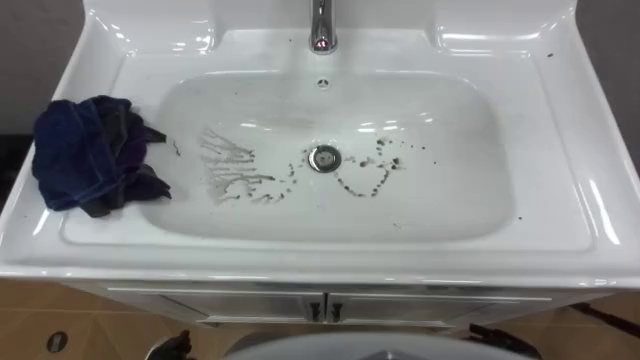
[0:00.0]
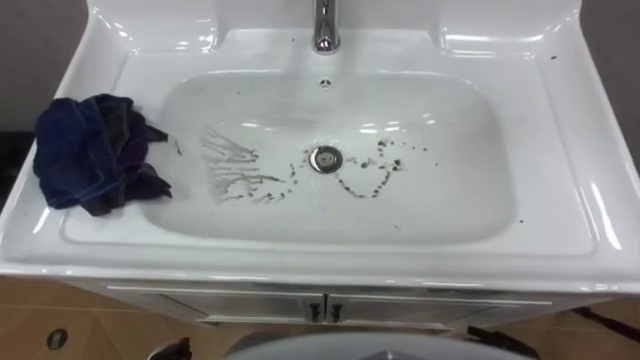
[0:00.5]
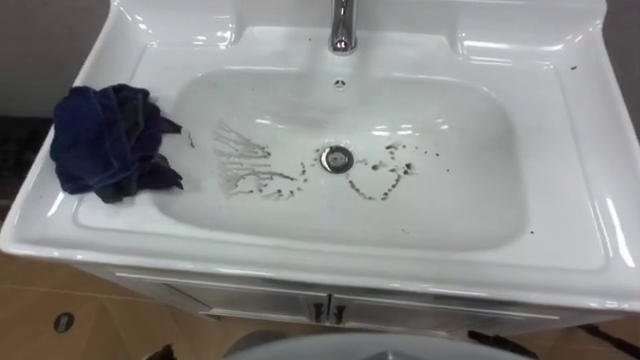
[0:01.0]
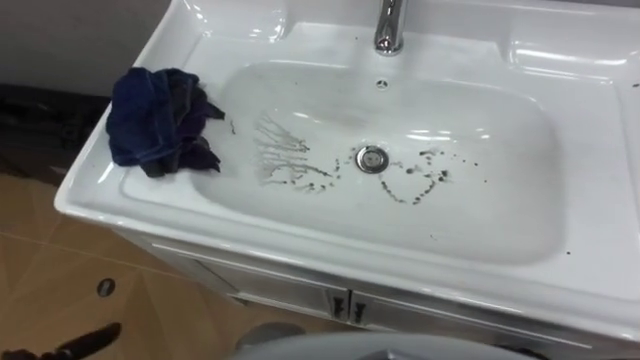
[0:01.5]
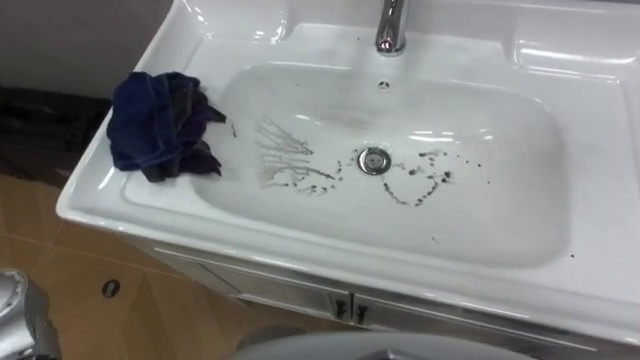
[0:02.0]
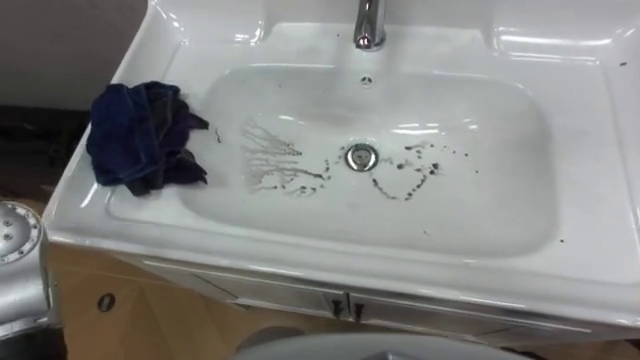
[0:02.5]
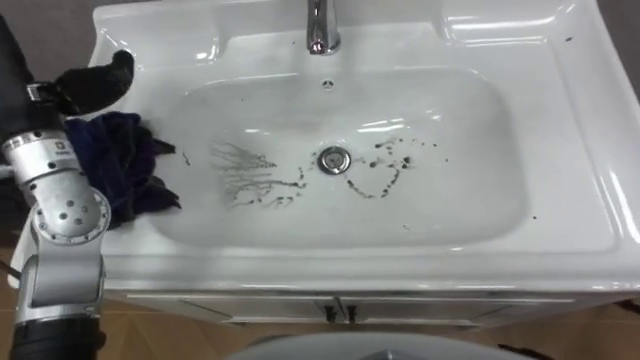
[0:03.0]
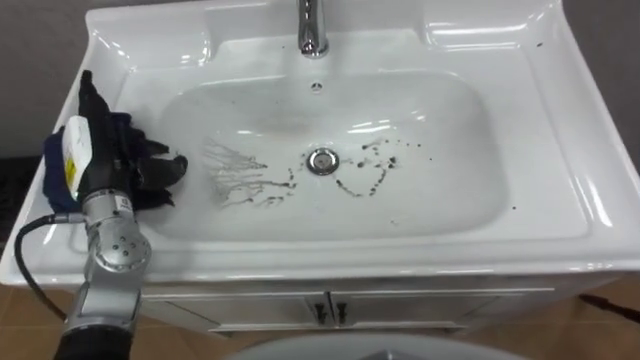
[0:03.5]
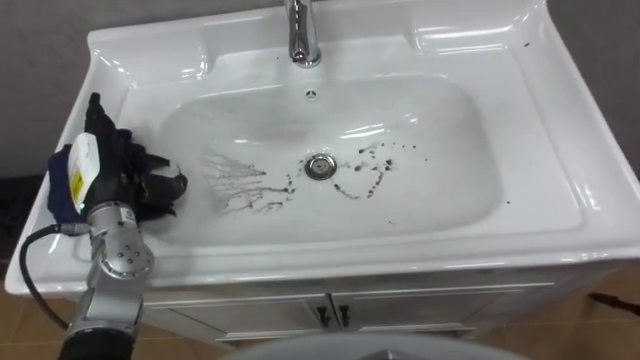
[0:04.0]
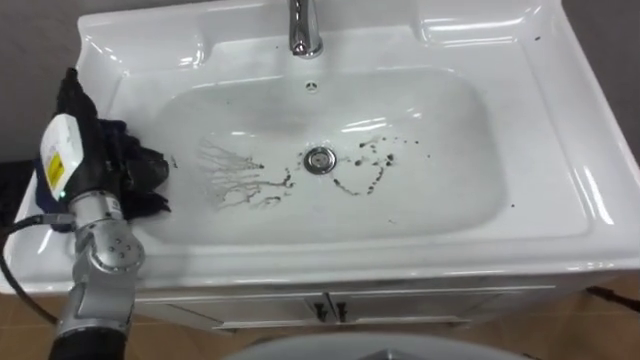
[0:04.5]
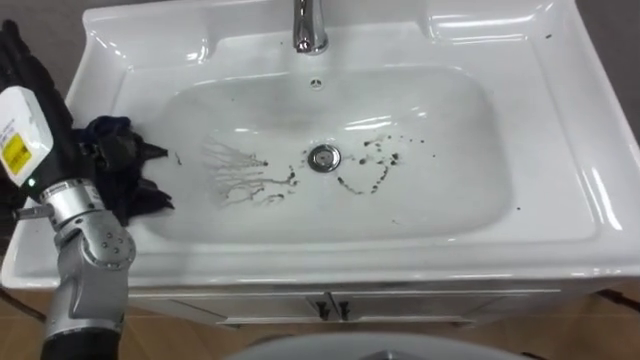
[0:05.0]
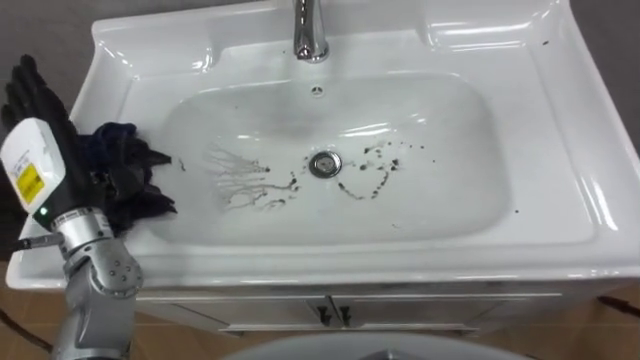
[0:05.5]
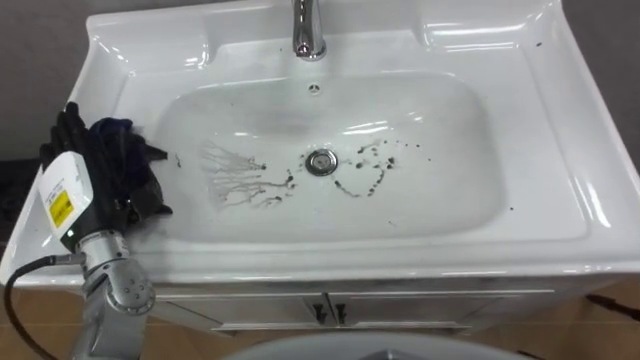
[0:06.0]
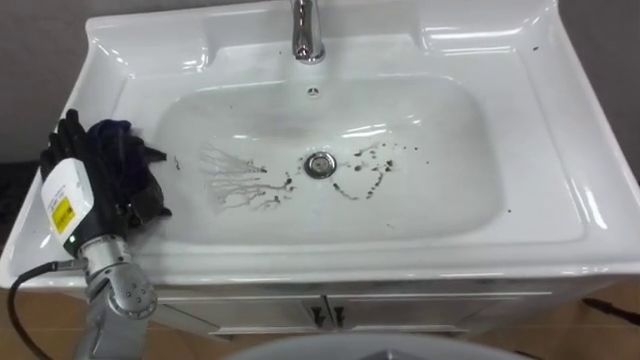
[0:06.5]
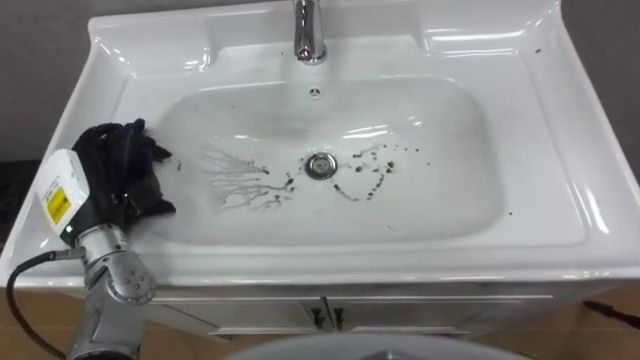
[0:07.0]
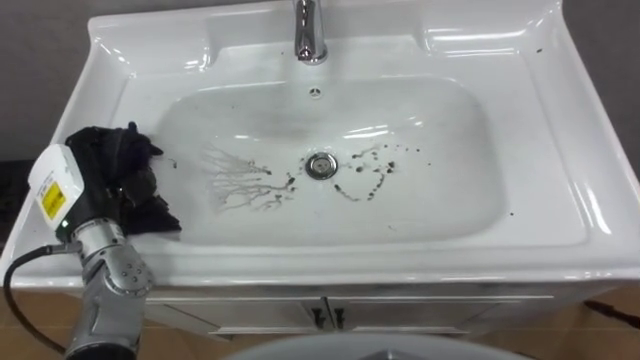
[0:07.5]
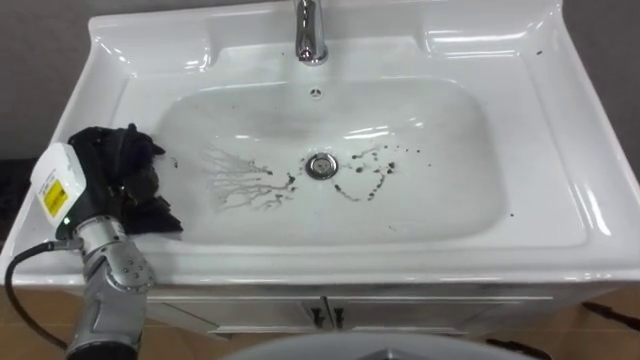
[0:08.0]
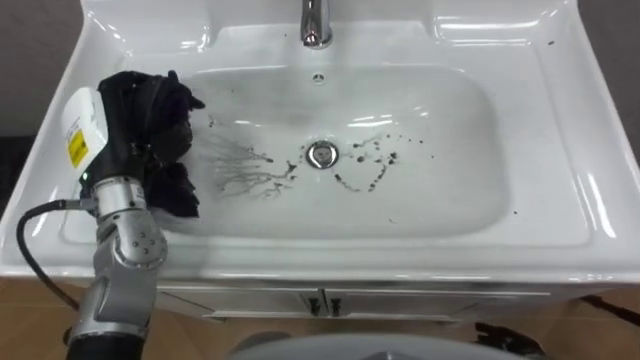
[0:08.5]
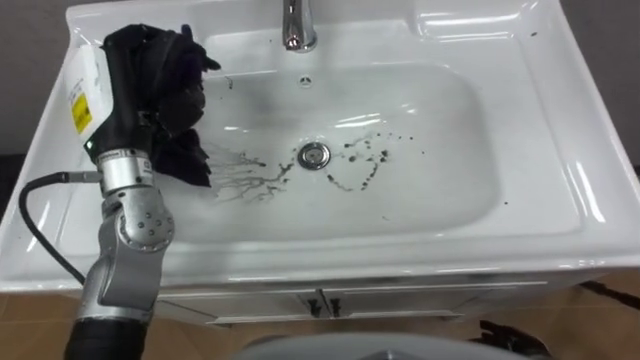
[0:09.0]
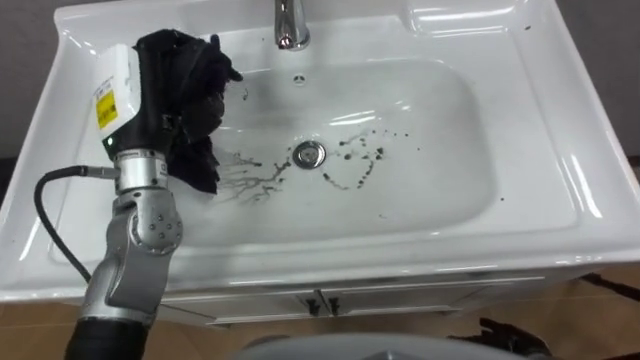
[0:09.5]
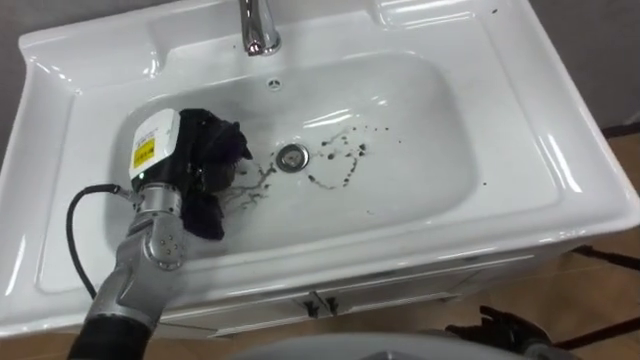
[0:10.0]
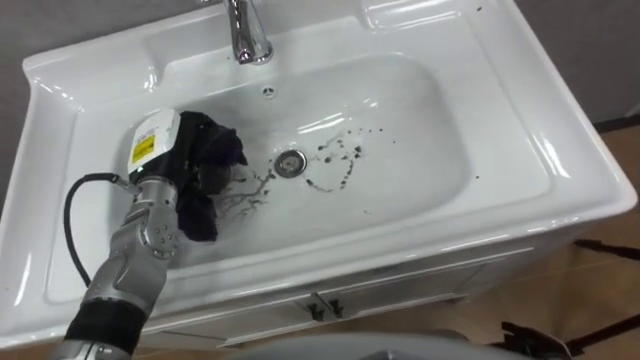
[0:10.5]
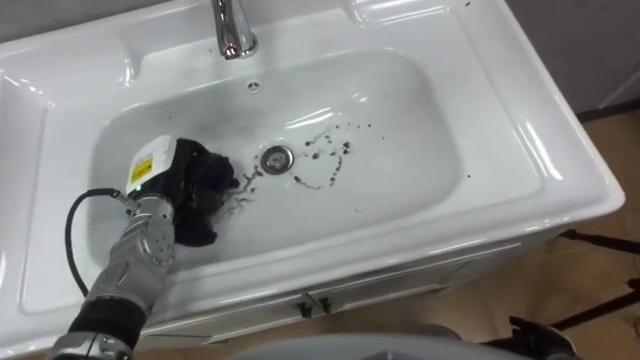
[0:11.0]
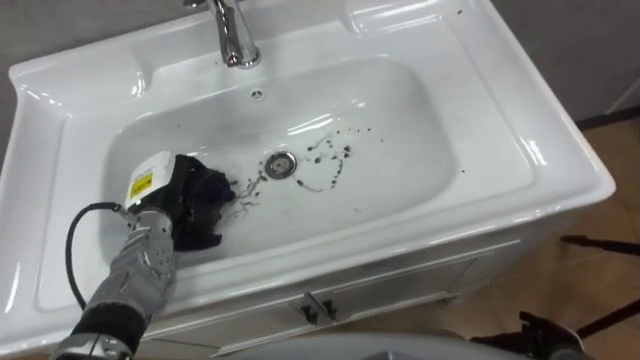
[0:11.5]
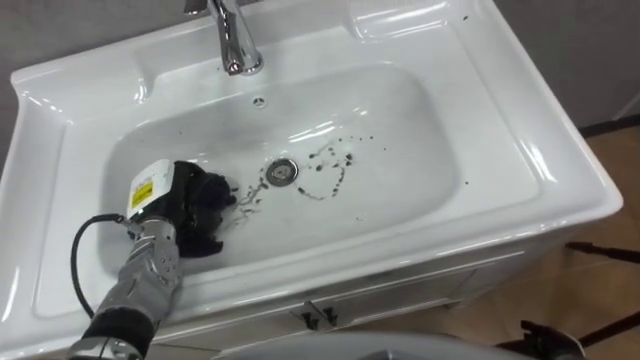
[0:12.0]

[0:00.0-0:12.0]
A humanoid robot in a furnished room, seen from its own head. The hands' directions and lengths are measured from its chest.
Task of the whole recording: Use the cloth on the right to wipe away the black stain in the sink.
0:04.0 to 0:06.0: The left hand reaches about 10 cm upward, then returns.
0:06.0 to 0:08.0: The left hand closes its fingers.
0:08.0 to 0:10.0: The left hand is displaced to the right and forward by some 10 cm, and reaches some 10 cm upward, then returns.
0:10.0 to 0:12.0: The left hand moves downward, some 10 cm.

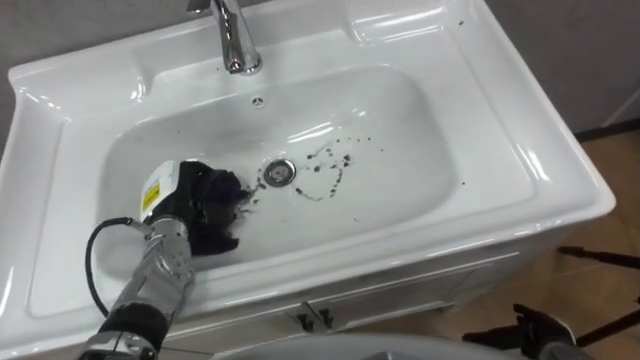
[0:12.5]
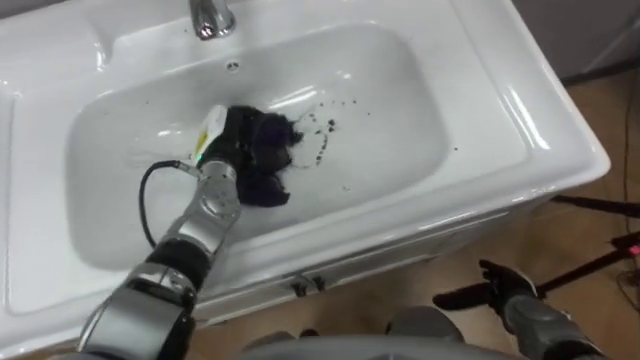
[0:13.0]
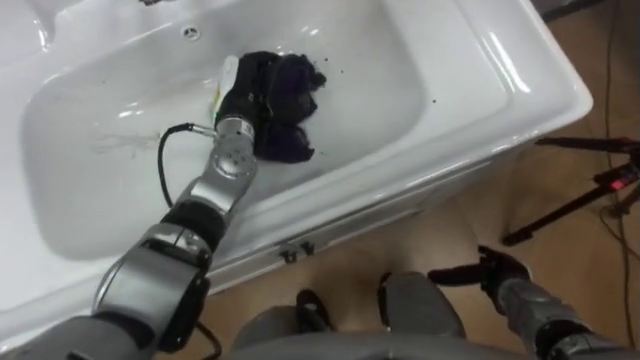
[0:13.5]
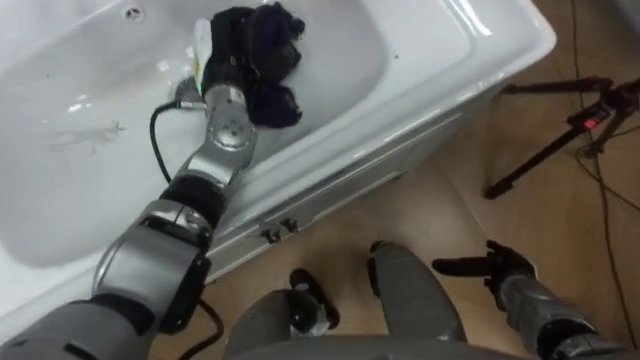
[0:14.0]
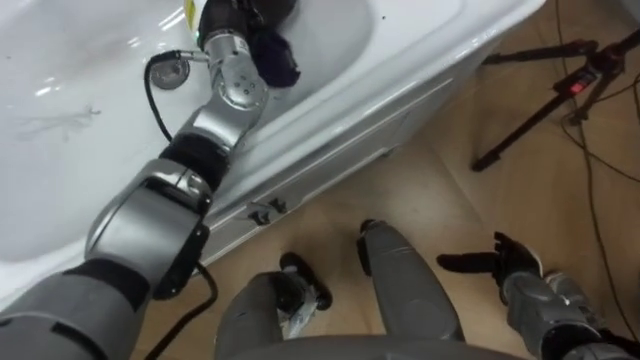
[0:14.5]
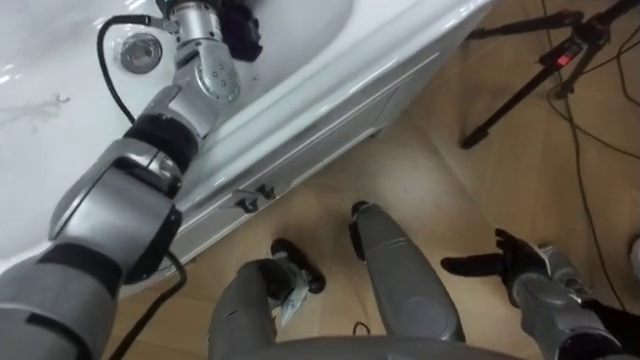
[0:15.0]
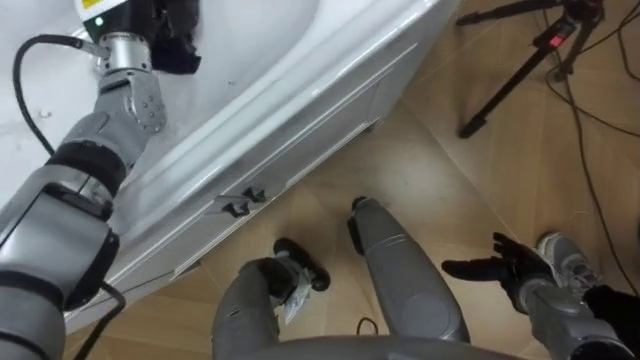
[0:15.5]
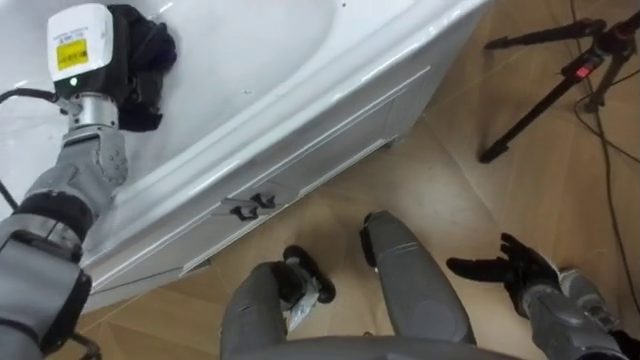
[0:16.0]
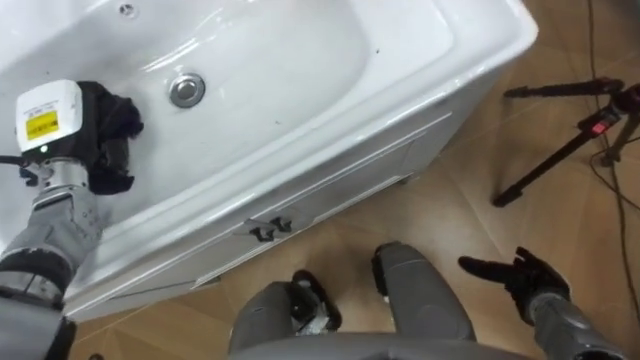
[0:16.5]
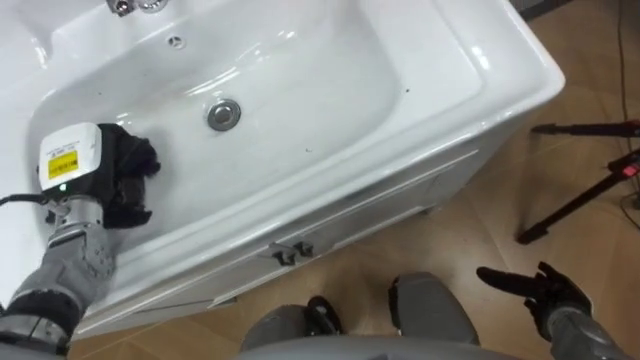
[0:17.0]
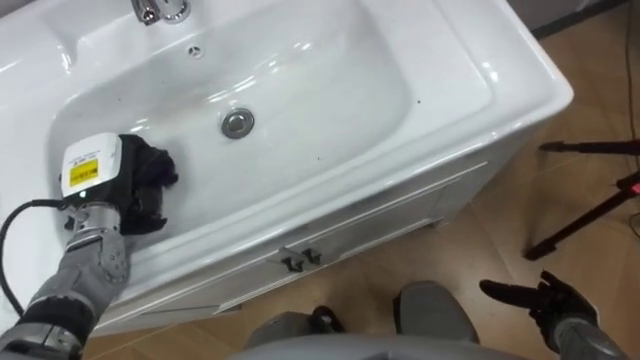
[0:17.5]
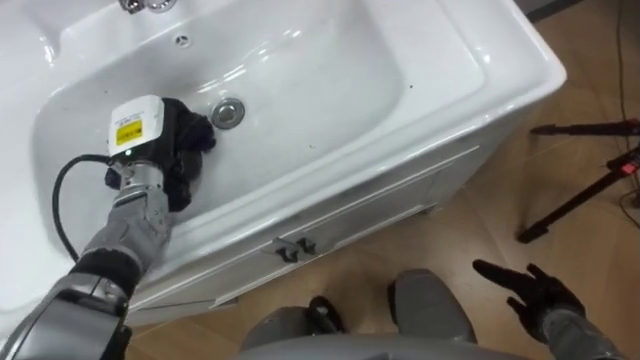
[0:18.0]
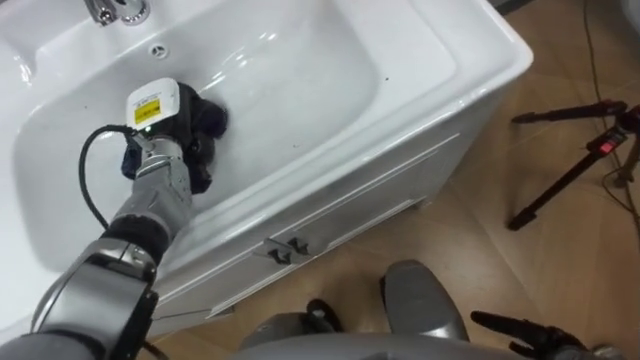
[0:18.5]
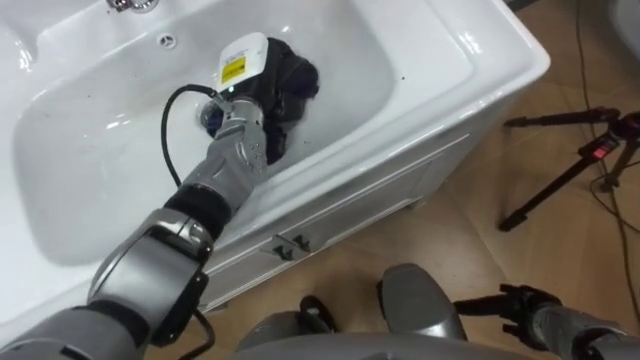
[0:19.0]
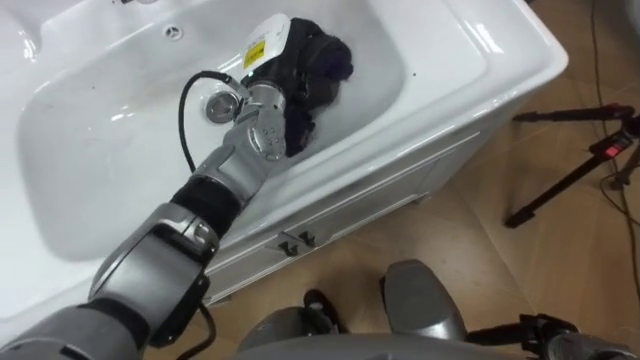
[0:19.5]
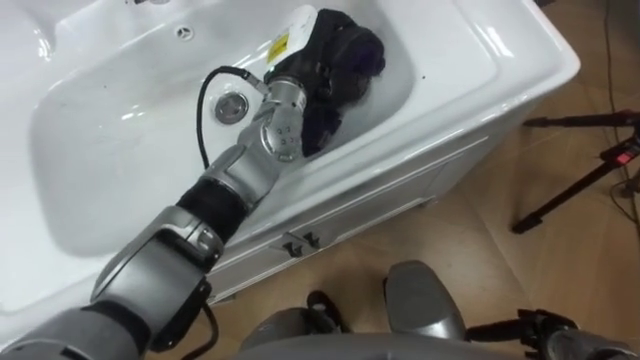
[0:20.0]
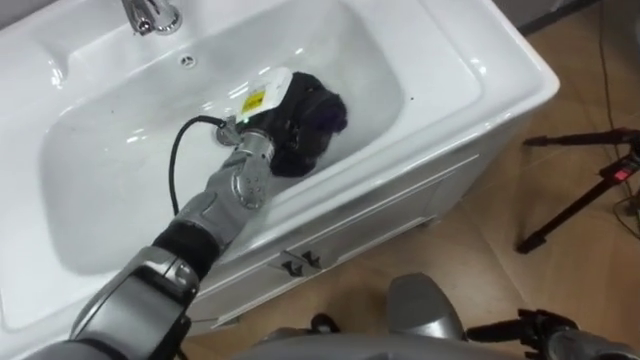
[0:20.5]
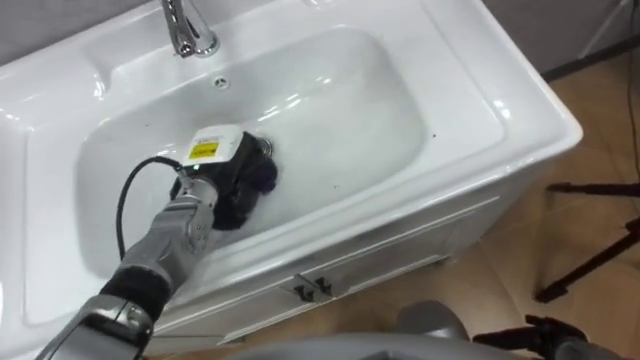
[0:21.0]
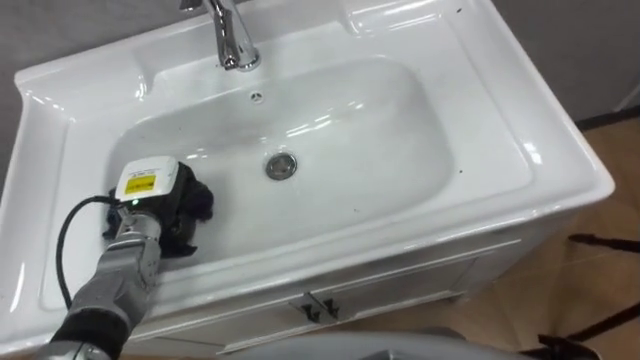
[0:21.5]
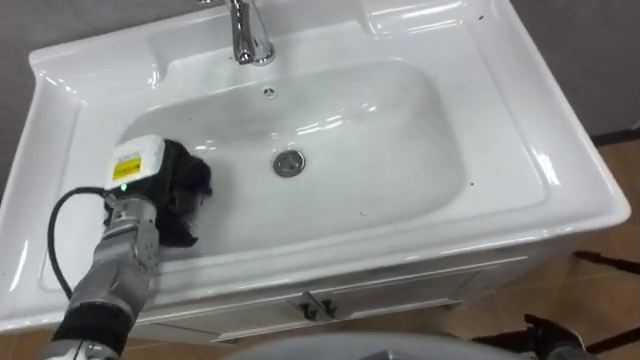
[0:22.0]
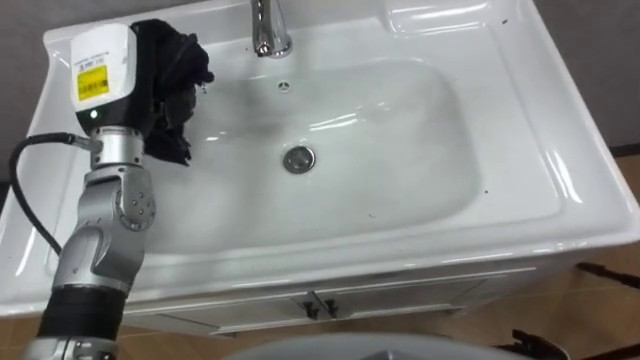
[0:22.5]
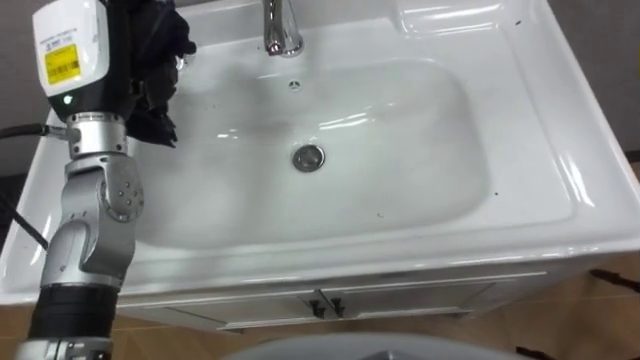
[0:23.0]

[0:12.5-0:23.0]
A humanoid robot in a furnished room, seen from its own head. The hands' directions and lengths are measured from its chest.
Task of the whole recording: Use the cloth on the right to wipe away the black stain in the sink.
0:12.5 to 0:14.5: The left hand moves upward, forward and to the right, about 30 cm; the right hand moves forward, some 10 cm.
0:16.5 to 0:19.0: The left hand travels to the right by some 25 cm.
0:19.0 to 0:21.0: The left hand shifts roughly 15 cm backward, downward and to the left.
0:21.0 to 0:23.0: The left hand is displaced upward and to the left by roughly 20 cm.
